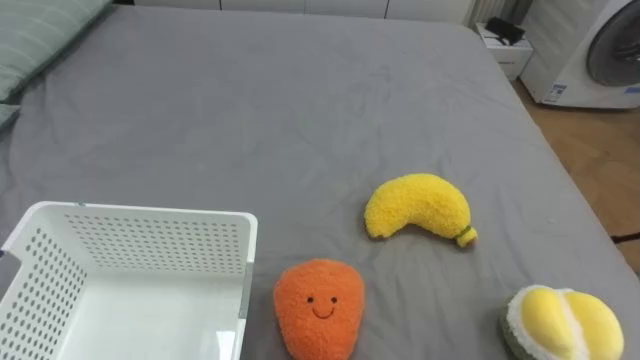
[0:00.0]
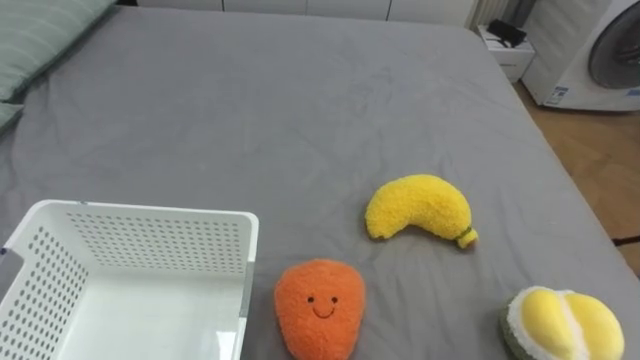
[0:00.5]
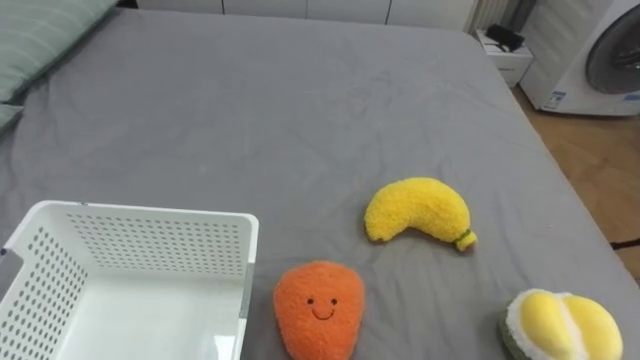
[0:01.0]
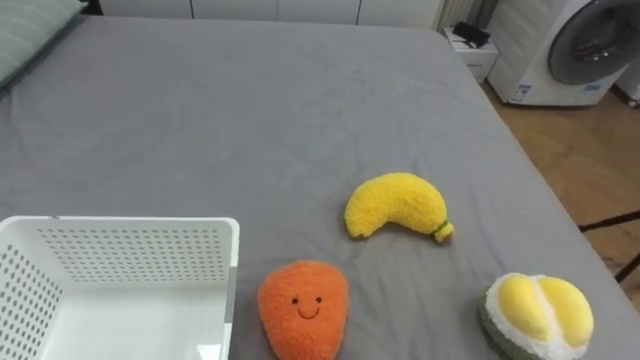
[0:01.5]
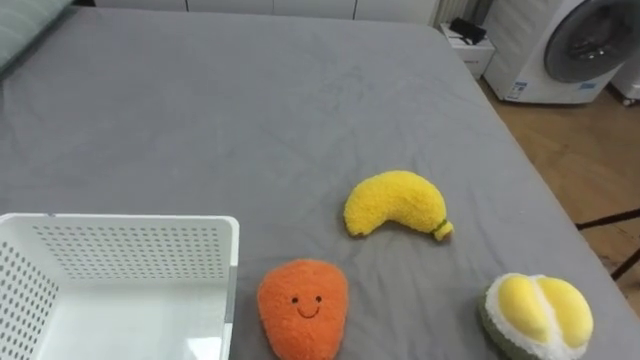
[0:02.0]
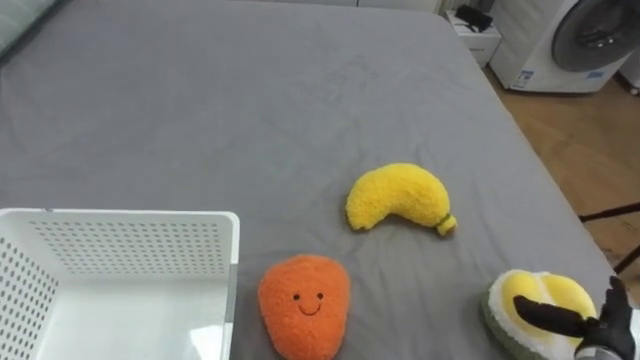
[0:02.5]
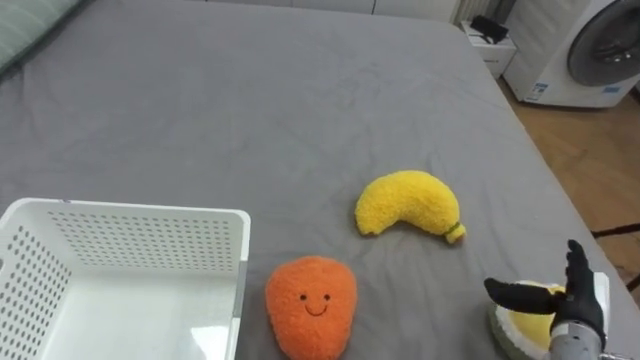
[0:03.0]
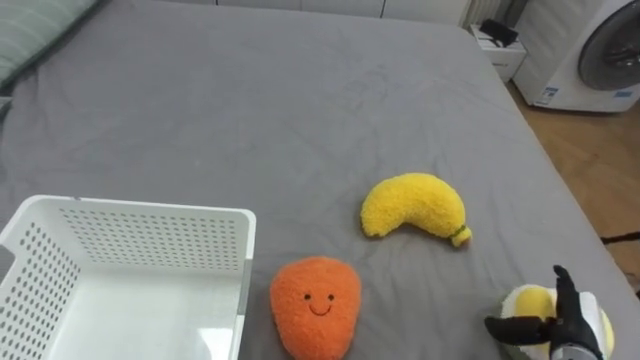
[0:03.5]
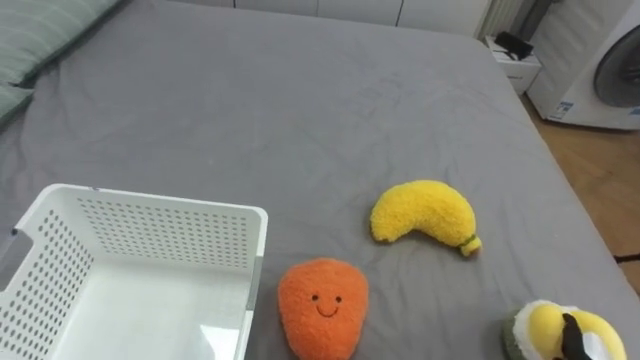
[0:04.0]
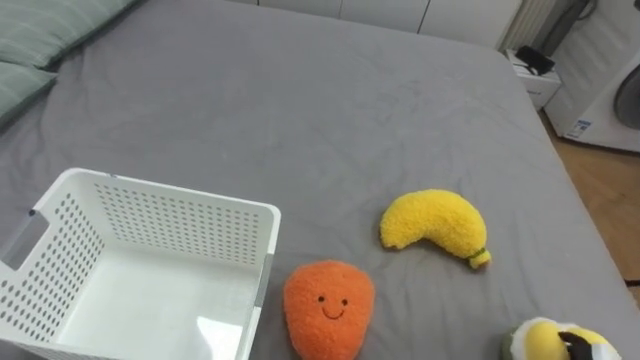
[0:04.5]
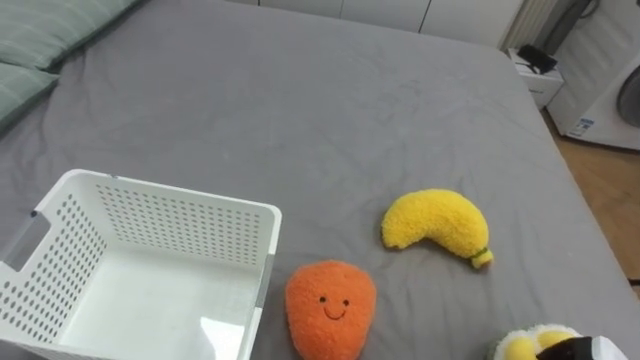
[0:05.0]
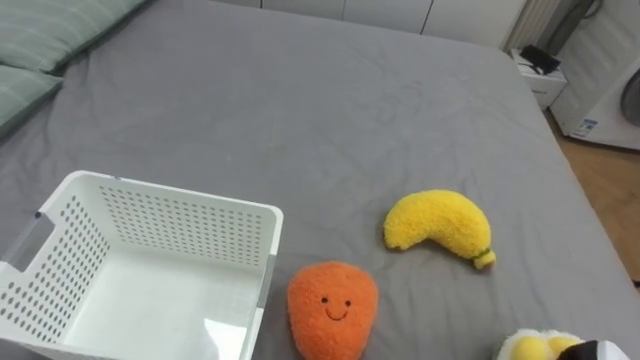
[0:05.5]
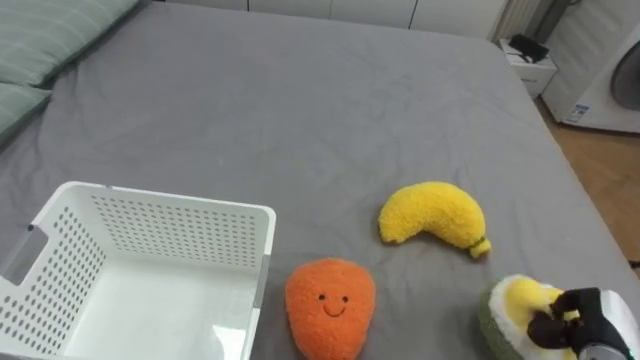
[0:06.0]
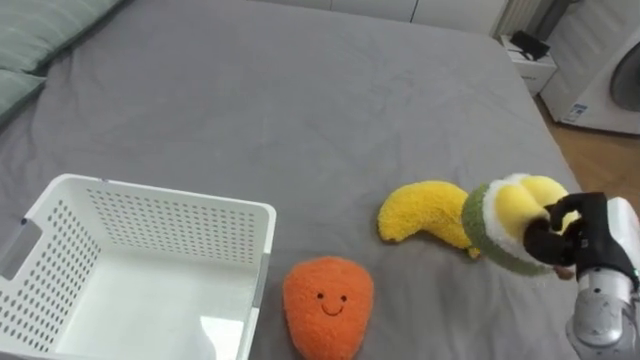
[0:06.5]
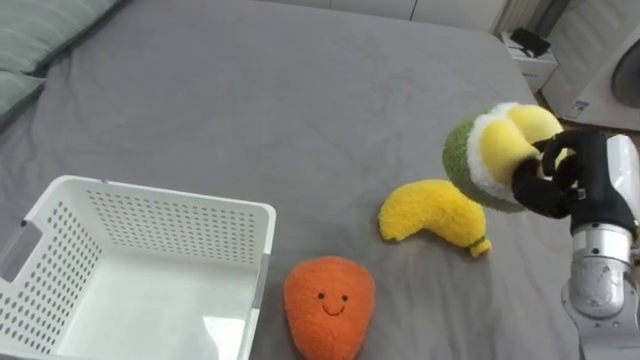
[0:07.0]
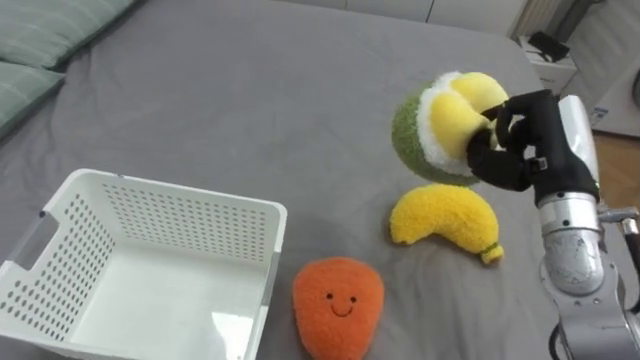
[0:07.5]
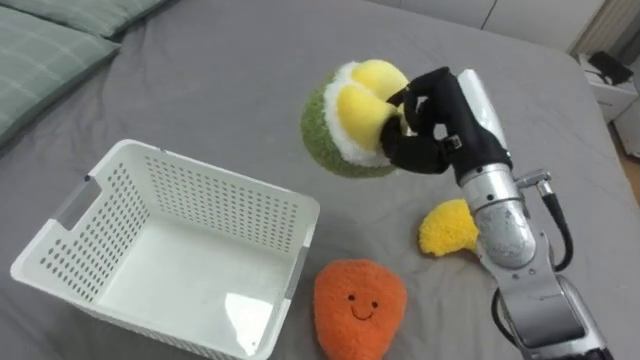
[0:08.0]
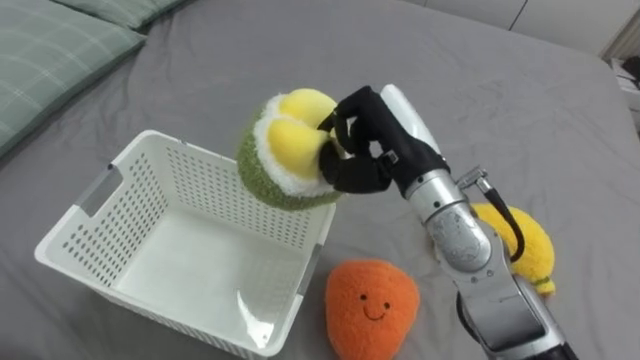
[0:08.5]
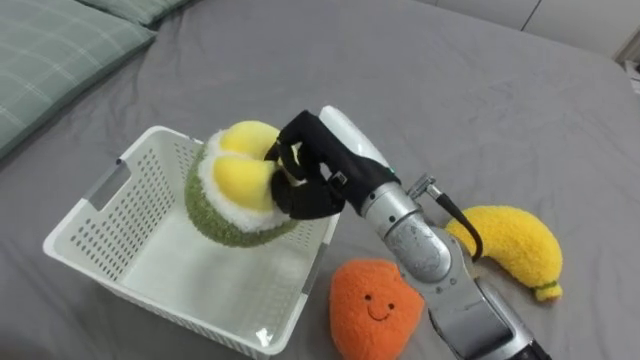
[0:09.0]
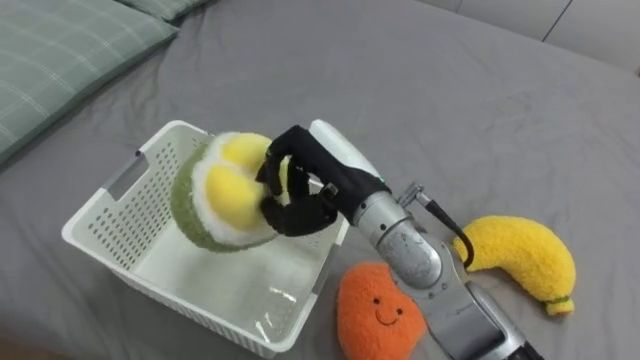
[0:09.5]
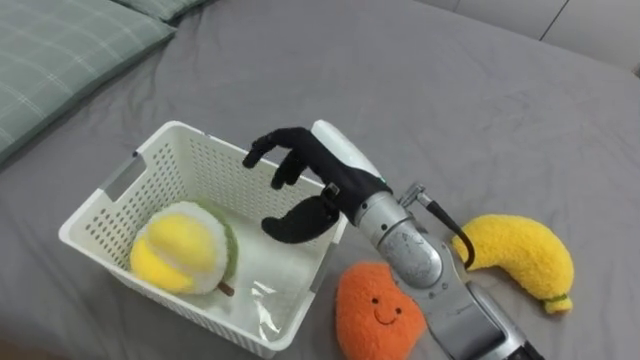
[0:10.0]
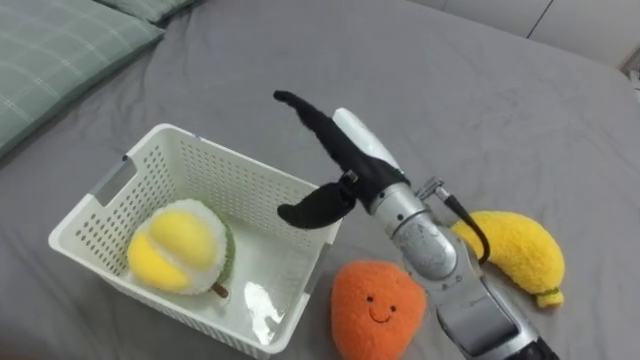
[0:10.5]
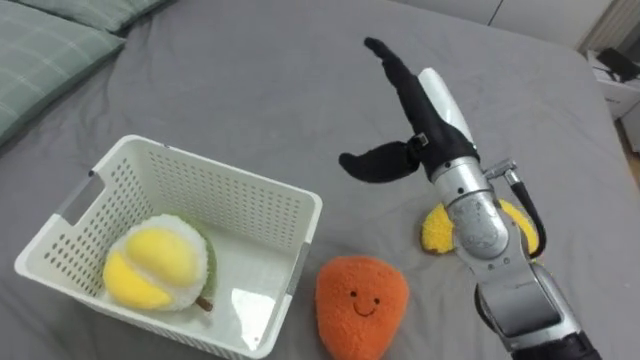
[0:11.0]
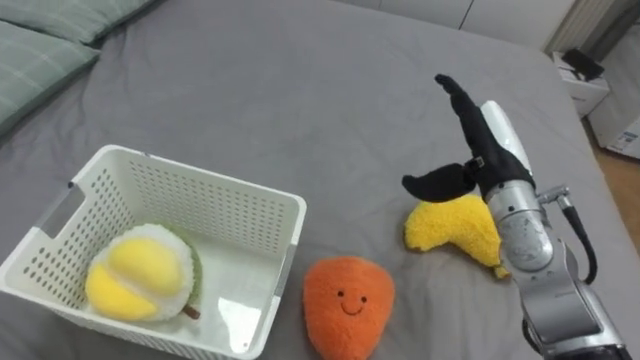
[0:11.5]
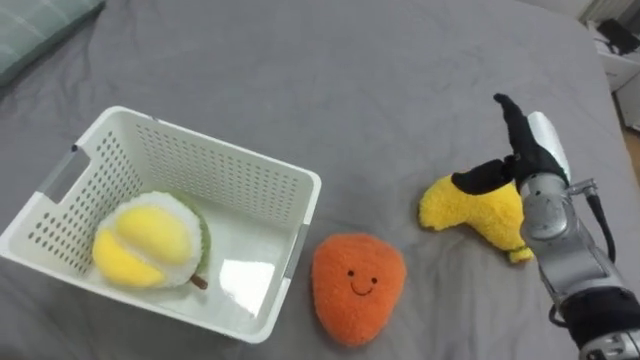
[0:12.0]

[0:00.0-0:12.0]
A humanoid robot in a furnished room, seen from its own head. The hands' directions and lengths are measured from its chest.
Task of the whole recording: Put the toys on the bed into the basket on the left.
0:06.0 to 0:08.0: The right hand moves upward, to the left and forward, about 35 cm.
0:08.0 to 0:10.0: The right hand shifts approximately 15 cm to the left, and opens.
0:10.0 to 0:12.0: The right hand goes approximately 25 cm to the right, and opens.

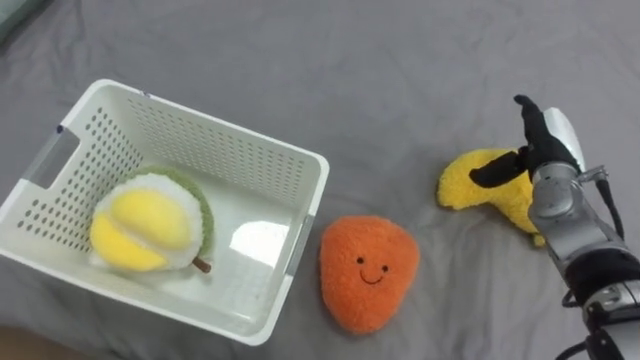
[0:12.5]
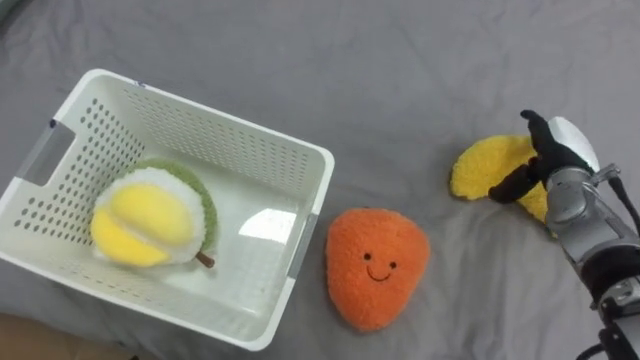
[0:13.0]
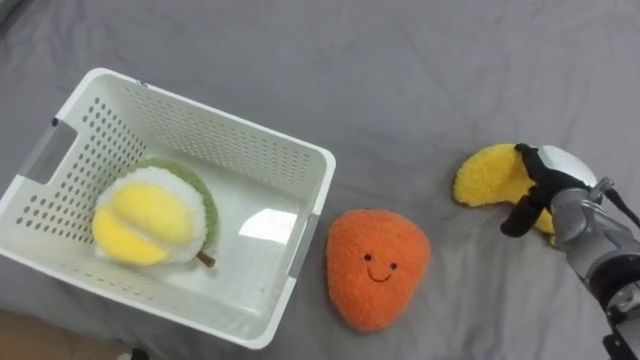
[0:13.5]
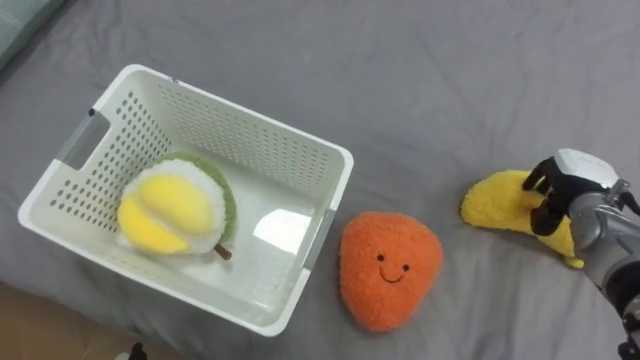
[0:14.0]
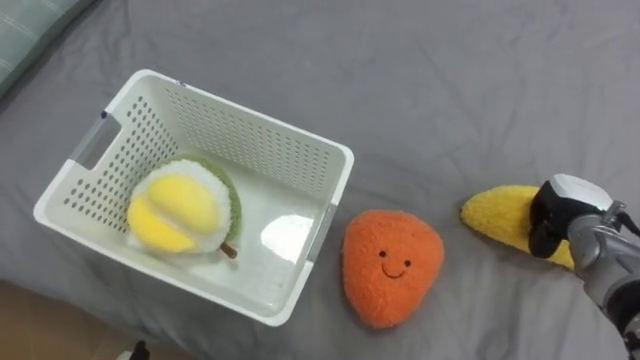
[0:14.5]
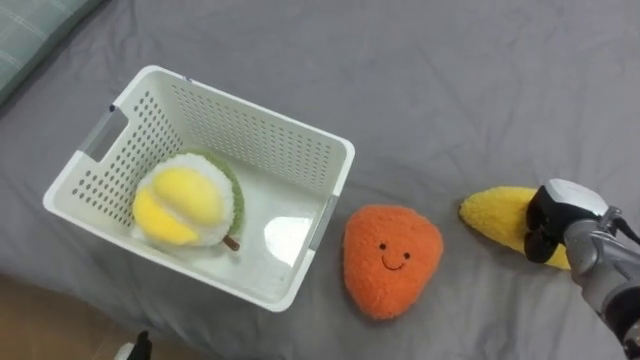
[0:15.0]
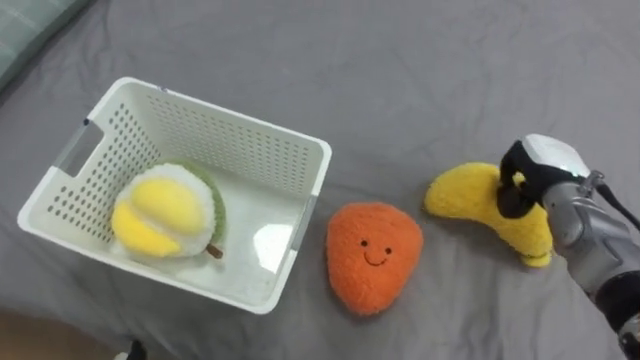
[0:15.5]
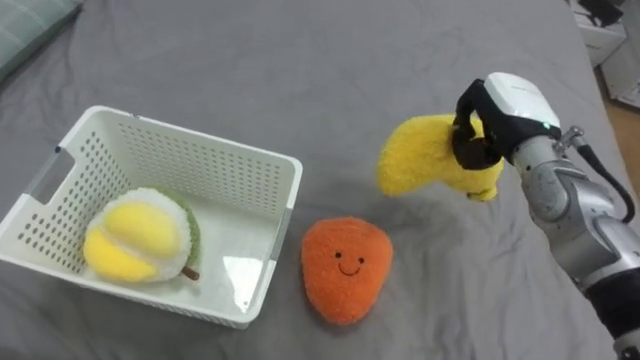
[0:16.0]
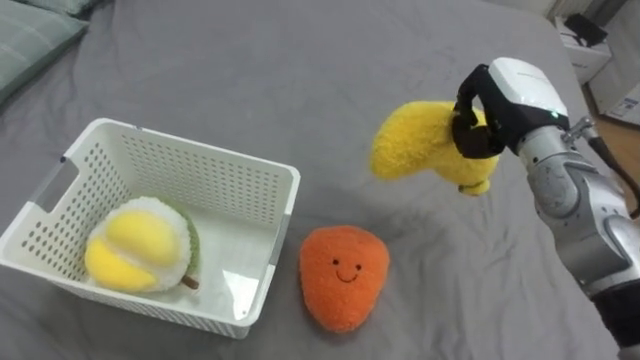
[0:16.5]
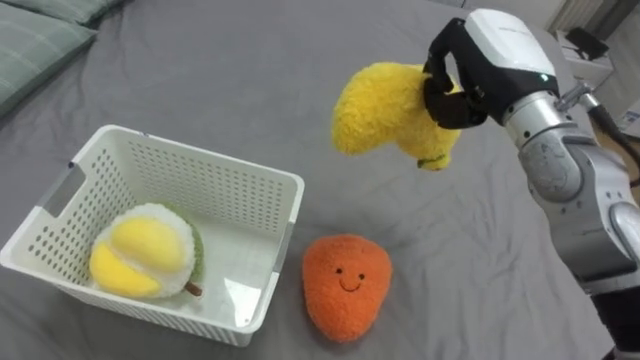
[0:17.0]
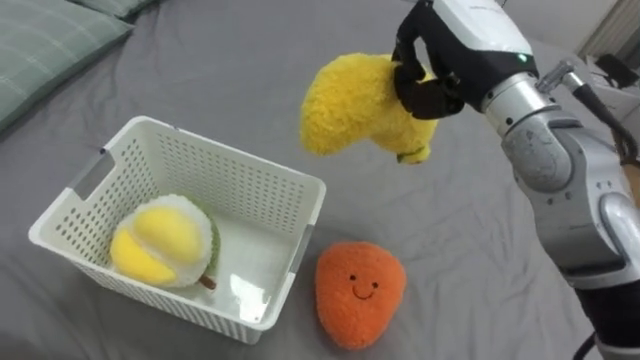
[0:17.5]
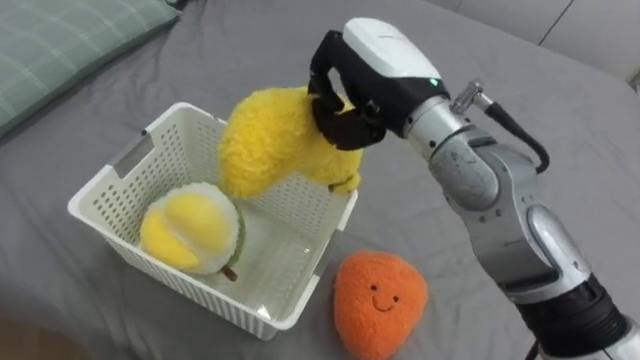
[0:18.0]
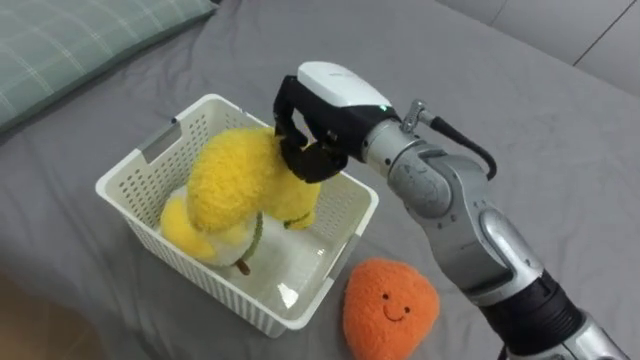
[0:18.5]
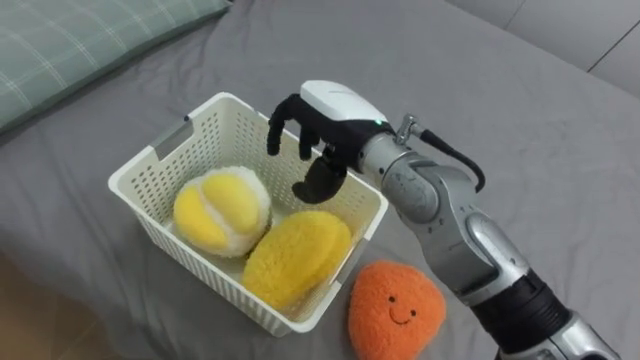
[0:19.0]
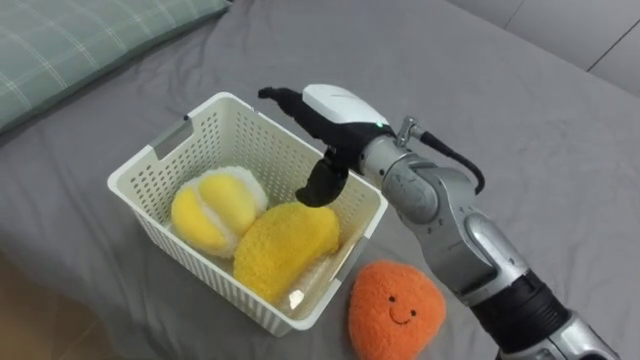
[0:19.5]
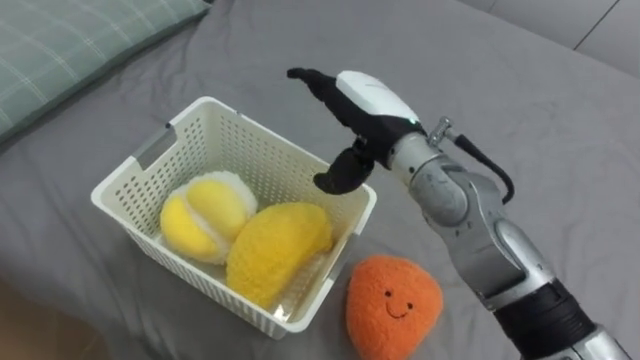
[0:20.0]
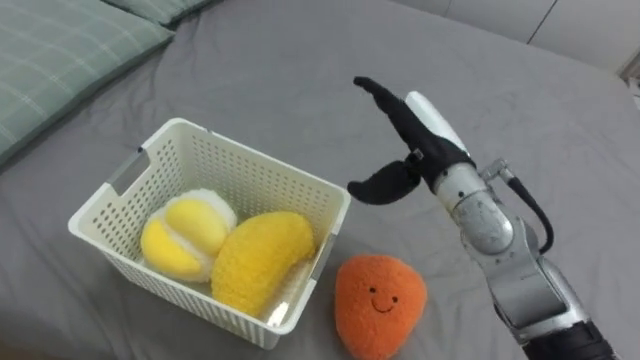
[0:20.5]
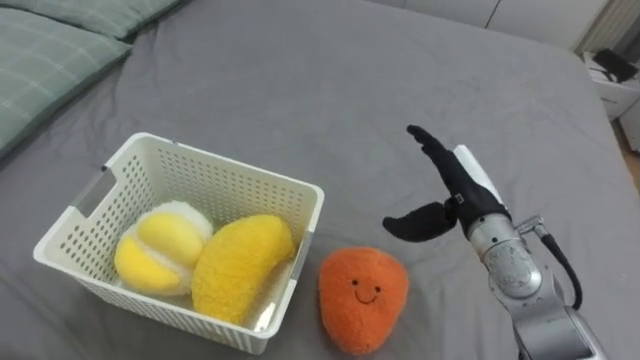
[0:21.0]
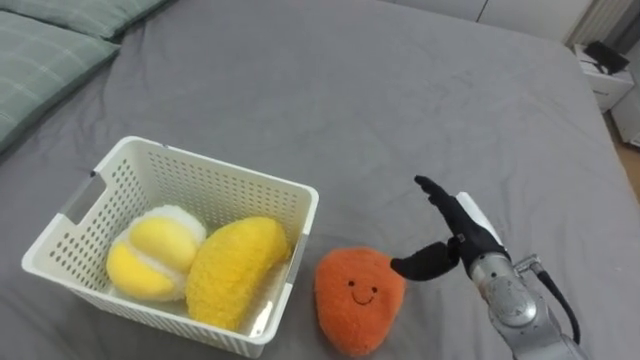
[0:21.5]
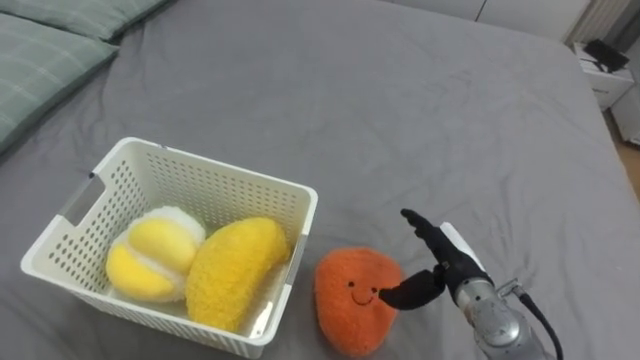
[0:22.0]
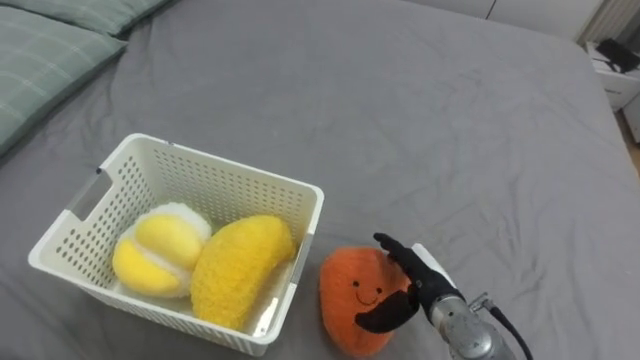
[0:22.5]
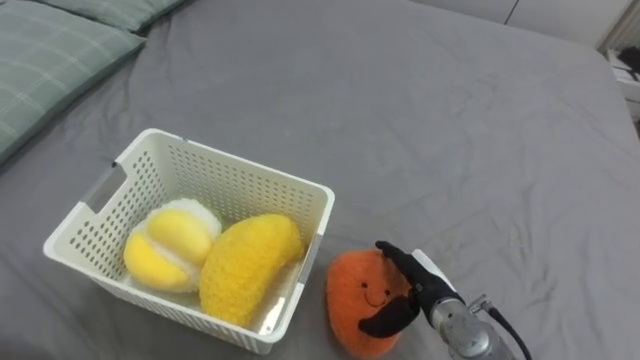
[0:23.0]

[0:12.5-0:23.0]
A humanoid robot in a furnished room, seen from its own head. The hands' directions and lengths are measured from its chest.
Task of the whole recording: Put the toys on the bed into the basket on the left.
0:12.5 to 0:14.5: The right hand moves downward, backward and to the right, about 10 cm, and closes up.
0:14.5 to 0:16.5: The right hand goes approximately 20 cm upward and to the left.
0:16.5 to 0:19.0: The right hand moves to the left, about 20 cm, and opens.
0:19.0 to 0:21.0: The right hand is displaced to the right and downward by about 20 cm, and opens its fingers.
0:21.0 to 0:23.0: The right hand shifts roughly 15 cm downward and backward.
